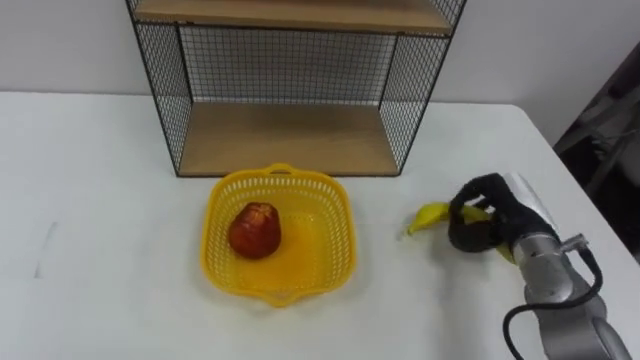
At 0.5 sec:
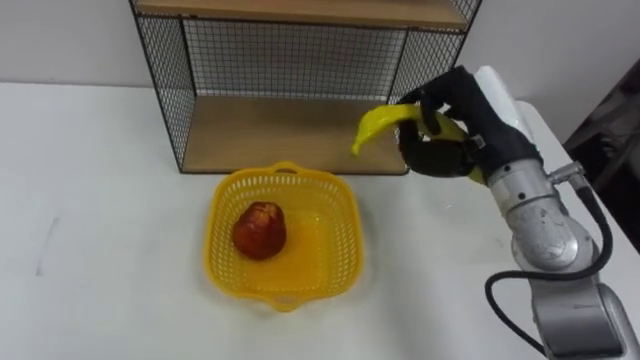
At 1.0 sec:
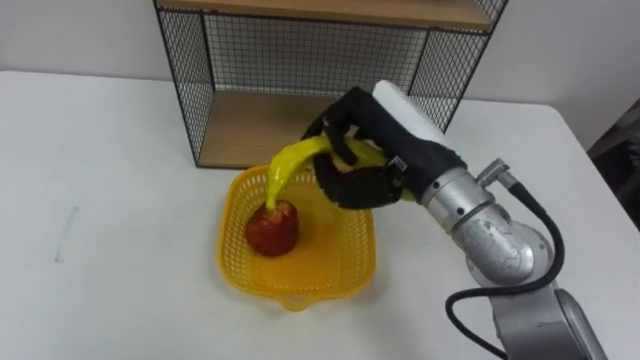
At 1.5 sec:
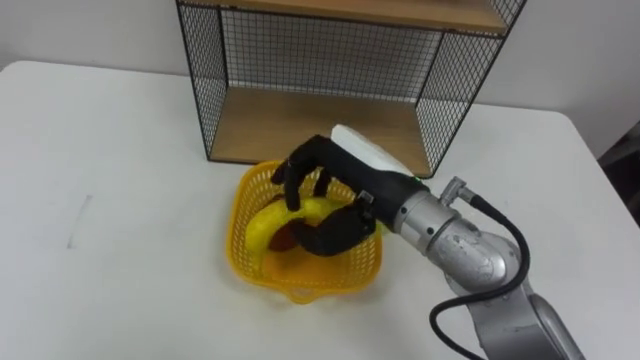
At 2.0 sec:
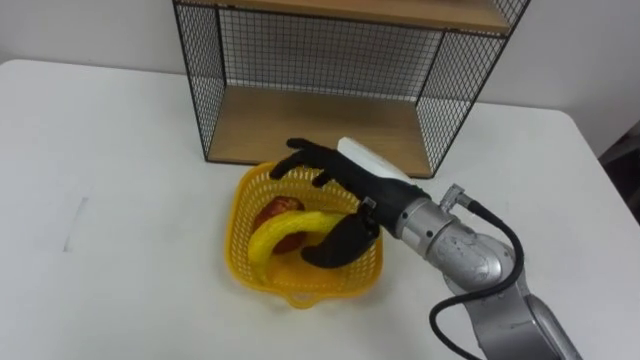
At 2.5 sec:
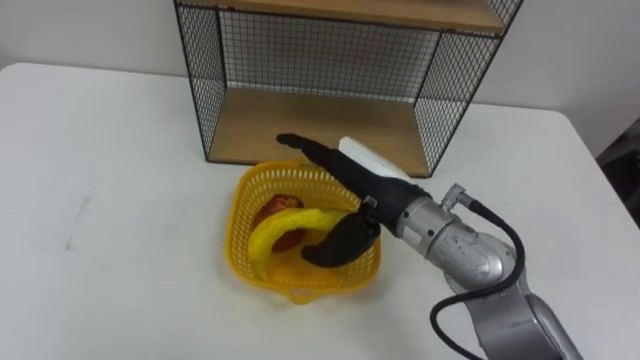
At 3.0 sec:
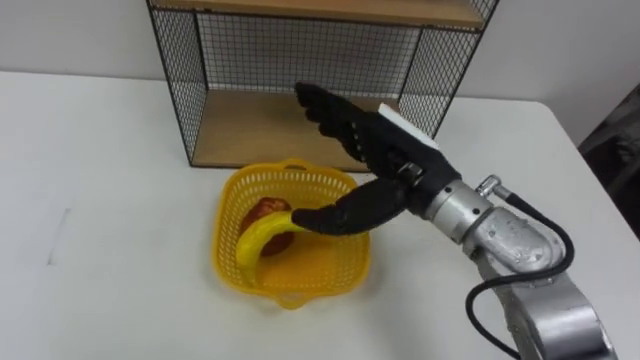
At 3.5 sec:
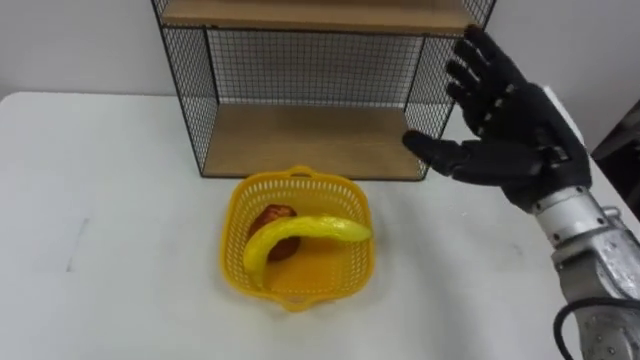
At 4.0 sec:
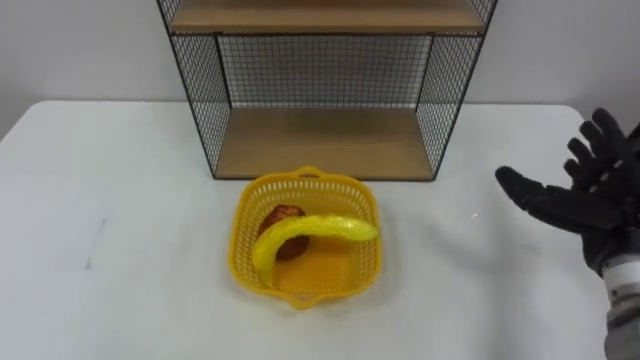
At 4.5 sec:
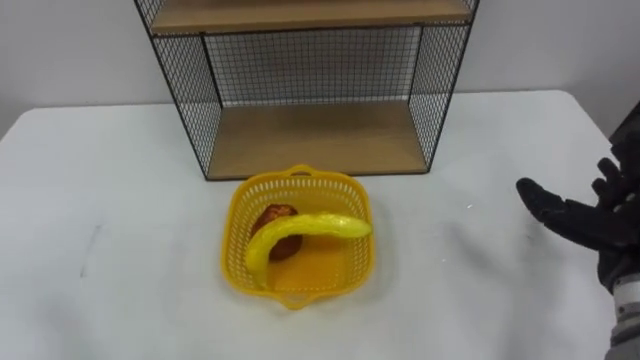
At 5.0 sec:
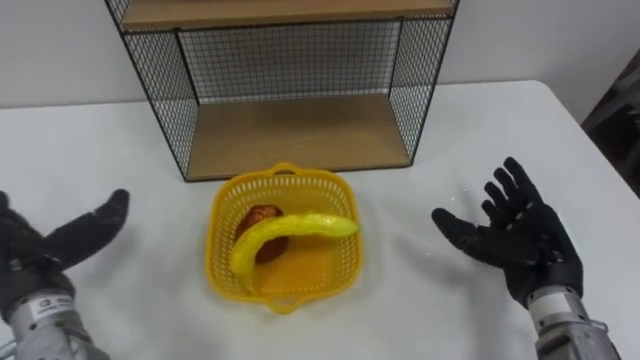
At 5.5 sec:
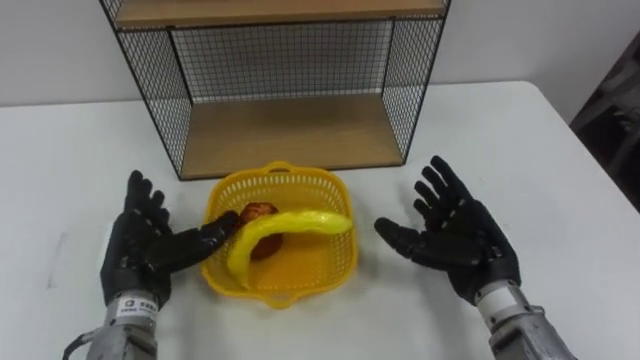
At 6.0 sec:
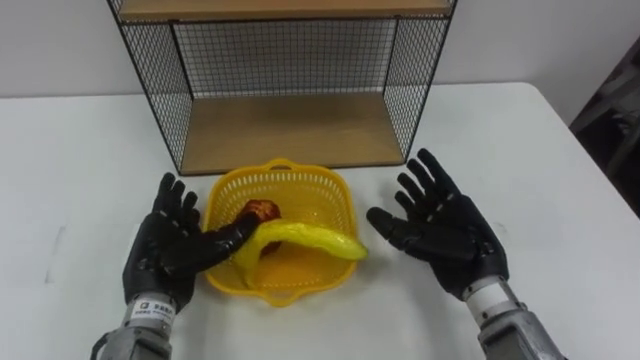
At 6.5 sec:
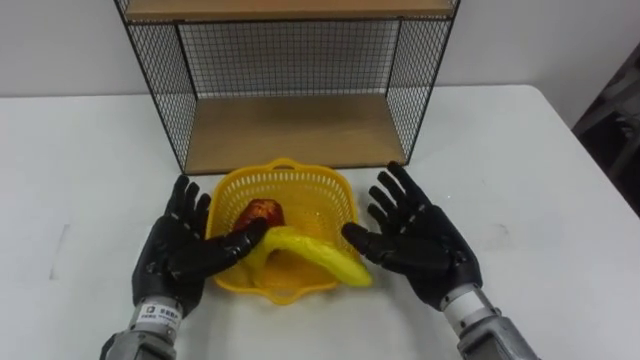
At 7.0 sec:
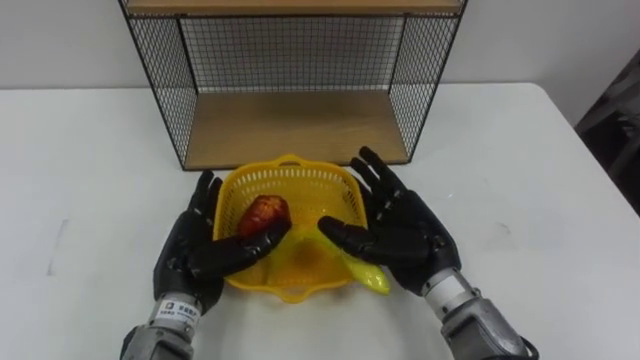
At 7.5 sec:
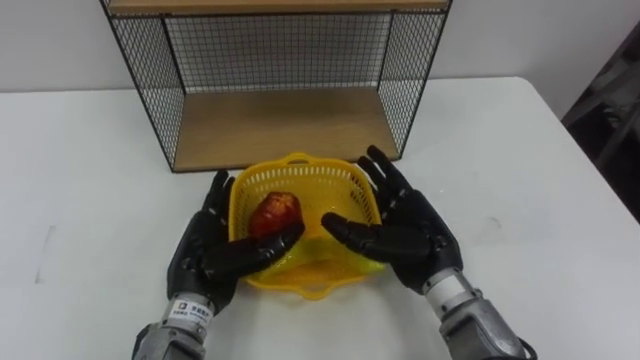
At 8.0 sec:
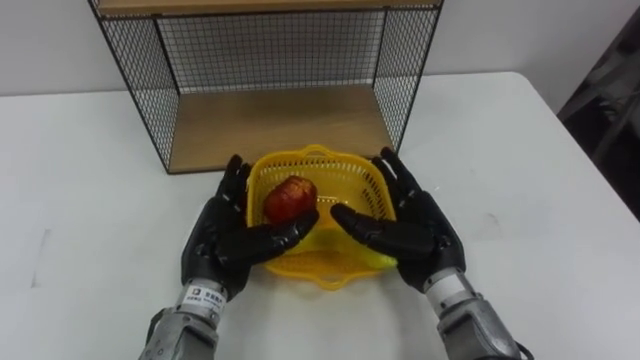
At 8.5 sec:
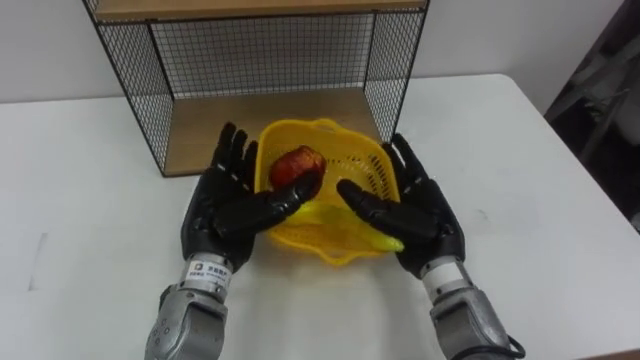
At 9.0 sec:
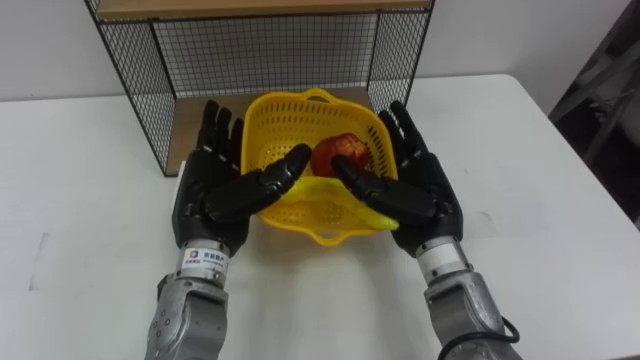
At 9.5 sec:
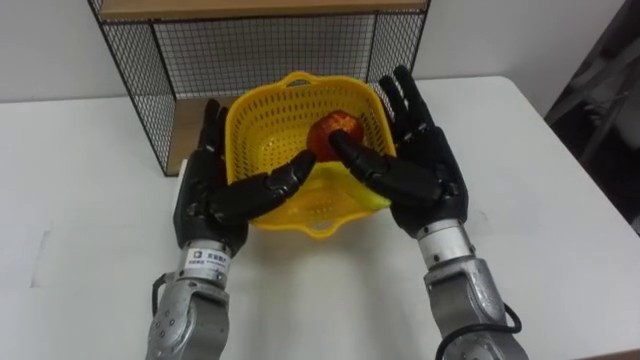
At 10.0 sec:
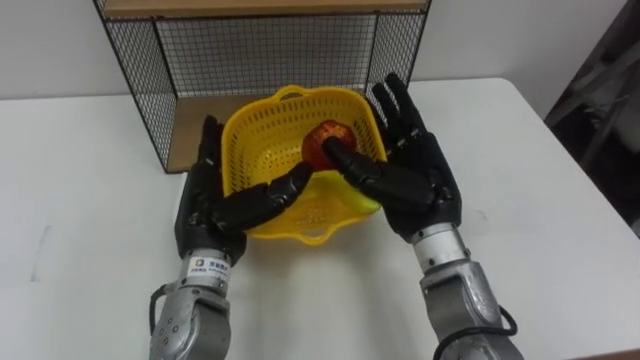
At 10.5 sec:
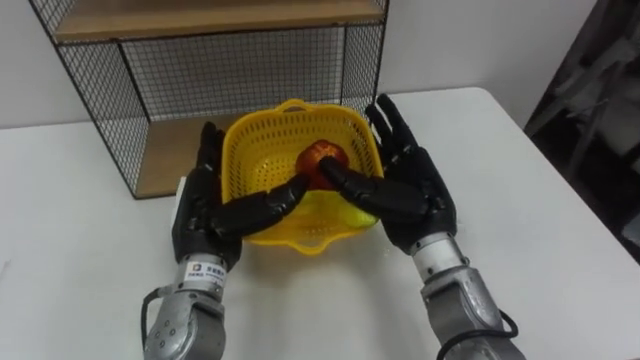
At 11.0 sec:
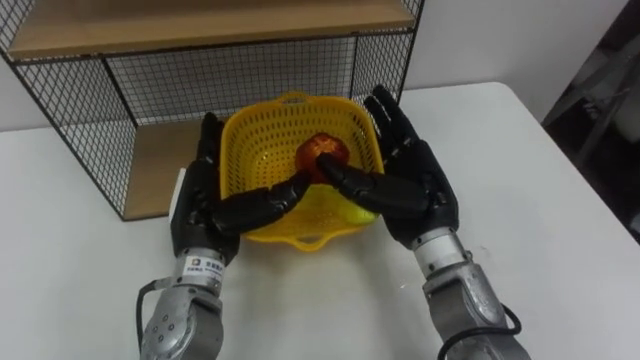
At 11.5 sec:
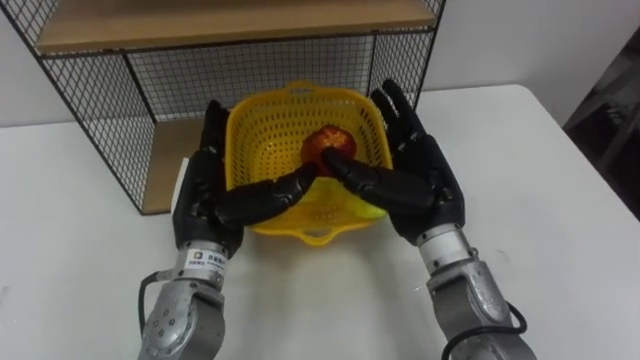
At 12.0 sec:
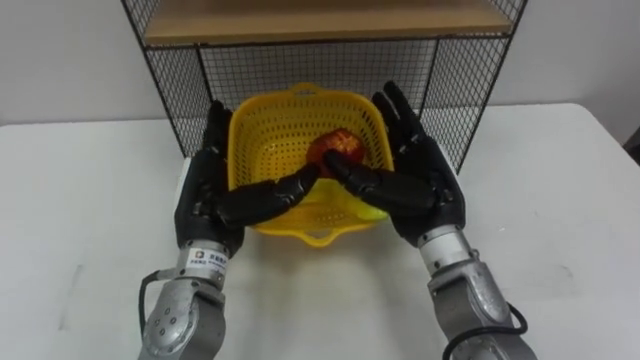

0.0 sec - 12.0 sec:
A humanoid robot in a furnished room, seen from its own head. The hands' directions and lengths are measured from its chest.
Task of the whole recording: Put the fruit on the table into the basket, then place the basket on the shelf.
0.0 sec - 2.0 sec: The right hand shifts about 25 cm to the left and upward, and opens up.
2.0 sec - 4.0 sec: The right hand travels to the right by about 25 cm.
6.0 sec - 8.0 sec: The right hand moves to the left, about 5 cm. Meanwhile the left hand travels to the right by approximately 5 cm.
8.0 sec - 10.0 sec: The right hand heads upward, covering about 10 cm.

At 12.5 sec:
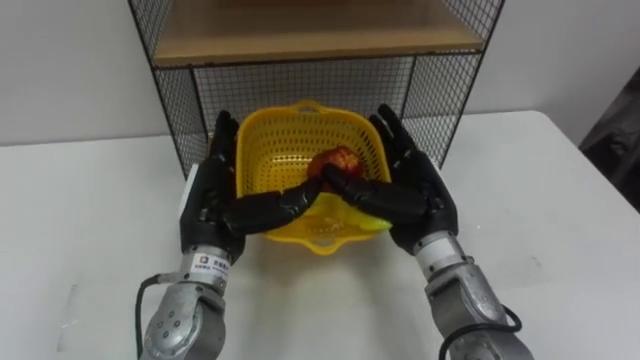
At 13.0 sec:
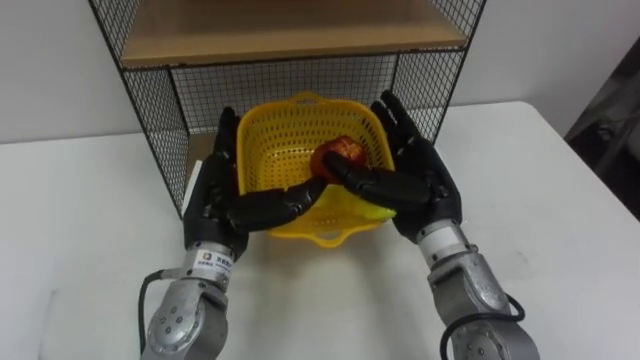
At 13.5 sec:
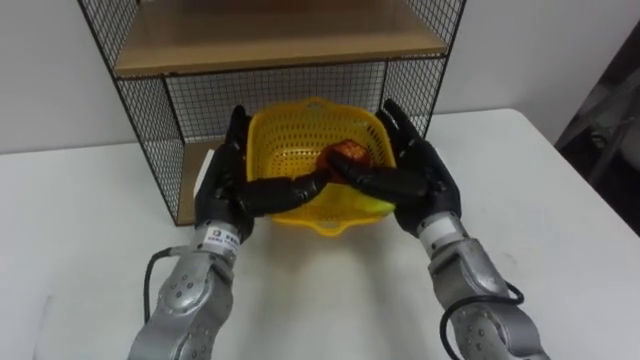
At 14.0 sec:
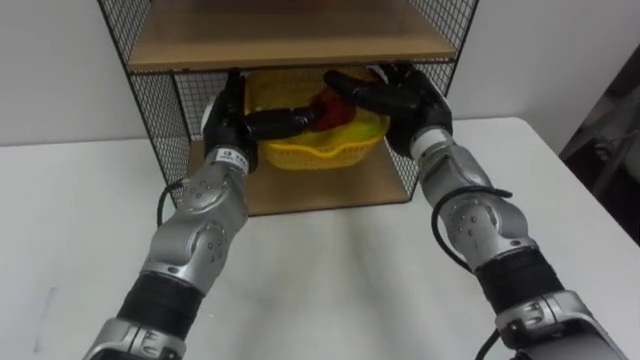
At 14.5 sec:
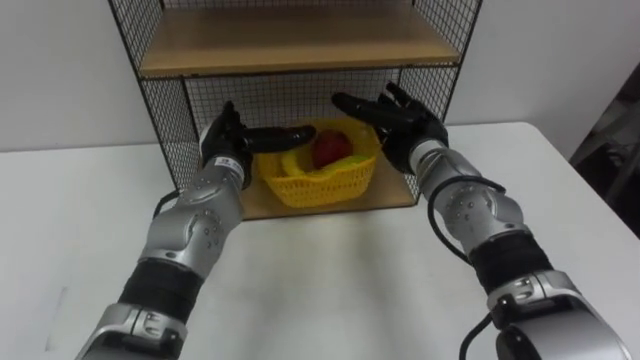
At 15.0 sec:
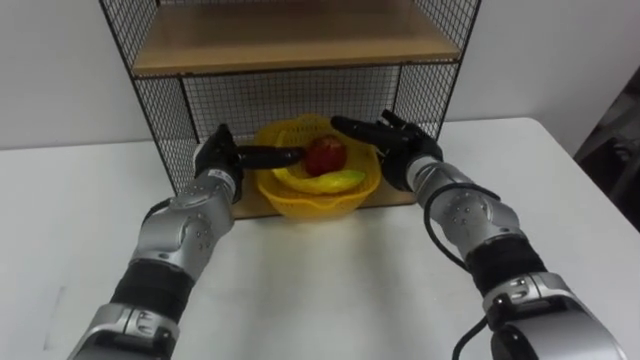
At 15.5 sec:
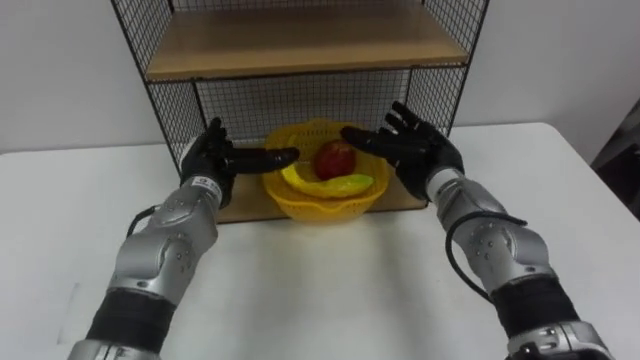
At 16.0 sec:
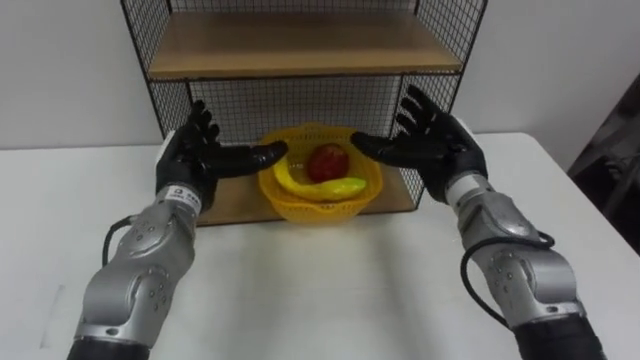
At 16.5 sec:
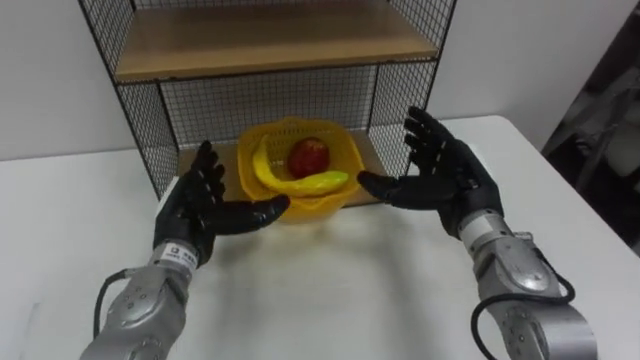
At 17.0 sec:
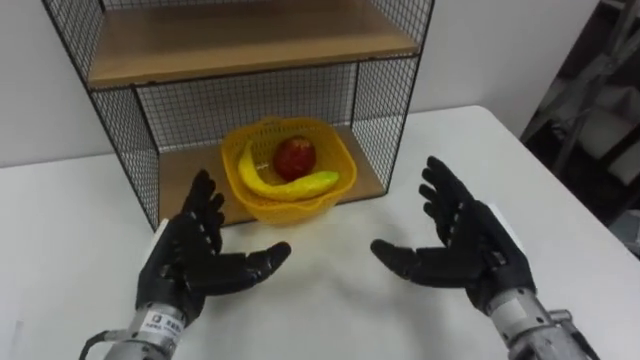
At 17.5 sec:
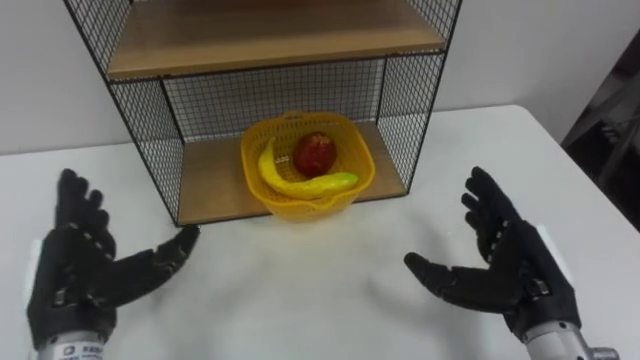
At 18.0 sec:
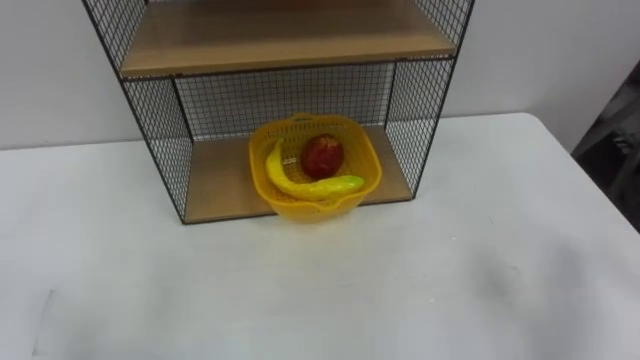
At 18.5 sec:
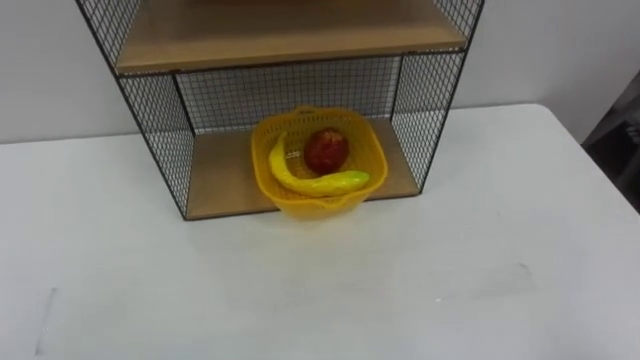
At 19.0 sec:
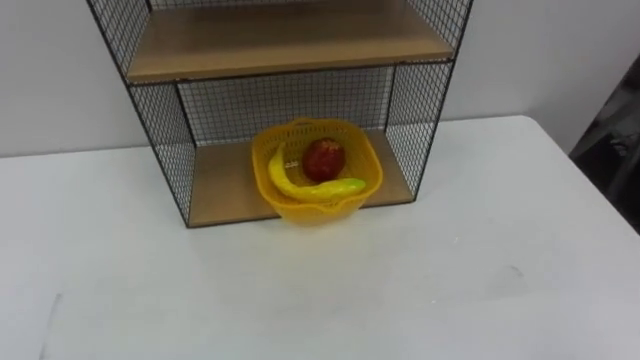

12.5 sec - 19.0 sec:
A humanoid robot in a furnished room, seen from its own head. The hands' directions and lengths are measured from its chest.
Task of the whole recording: Put the fruit on the table into the basket, then place the basket on the shelf.
12.5 sec - 14.5 sec: Both hands travel together forward, about 10 cm.
14.5 sec - 17.0 sec: The left hand heads backward, covering about 15 cm; the right hand heads backward and to the right, covering approximately 20 cm.

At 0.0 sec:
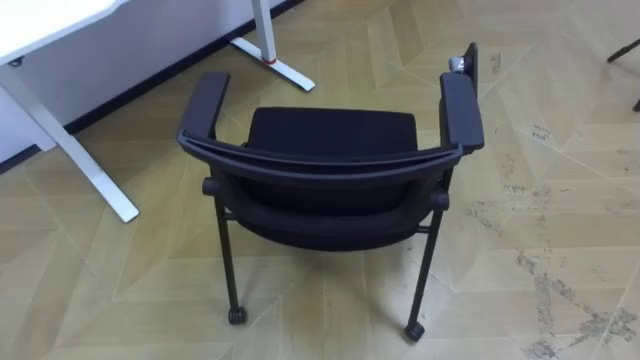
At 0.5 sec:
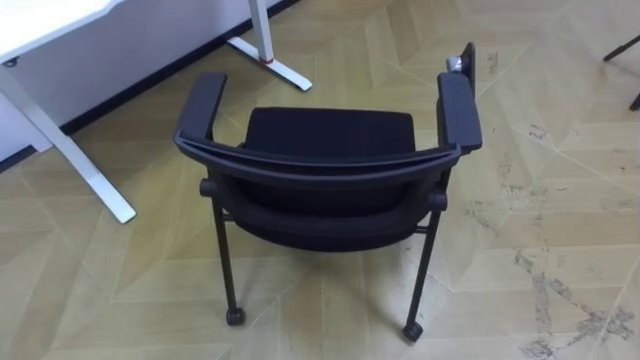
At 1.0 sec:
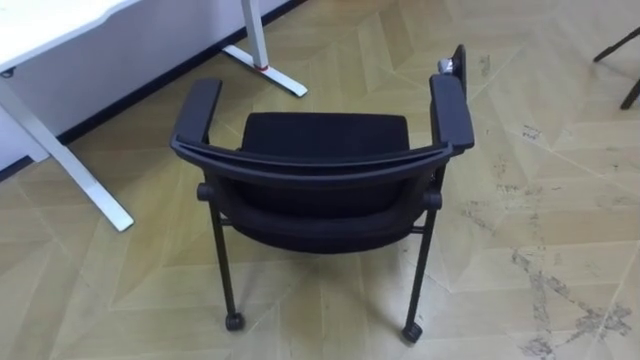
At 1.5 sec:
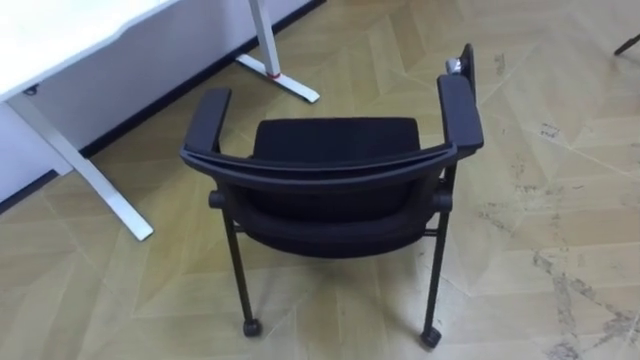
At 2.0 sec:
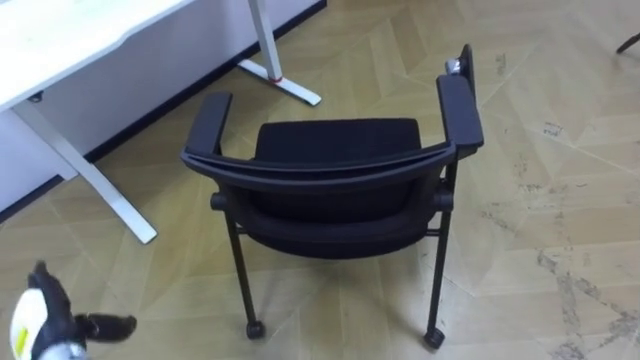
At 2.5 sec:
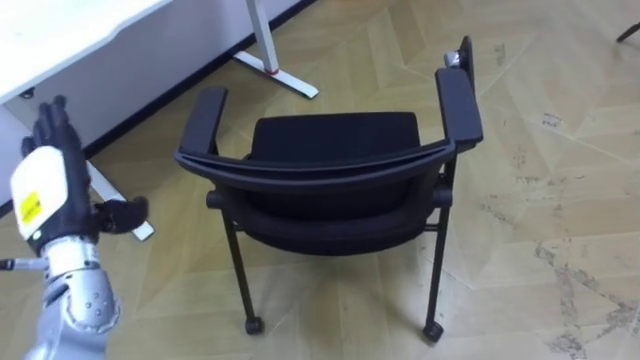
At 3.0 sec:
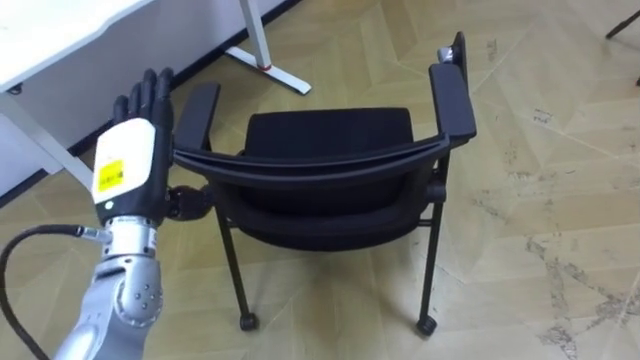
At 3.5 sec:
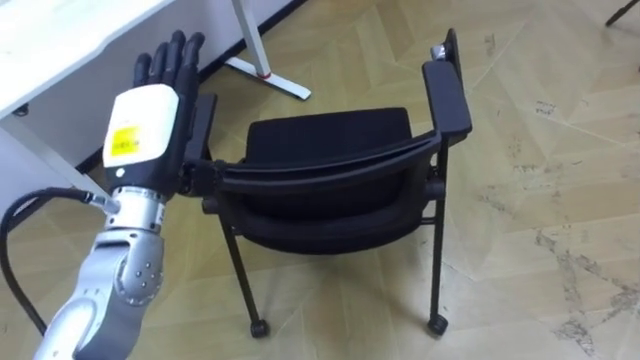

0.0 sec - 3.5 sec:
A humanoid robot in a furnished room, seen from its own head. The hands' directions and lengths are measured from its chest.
Task of the whole recording: Push the chair under the table.
2.0 sec - 3.5 sec: The left hand heads upward, to the right and forward, covering some 30 cm.
